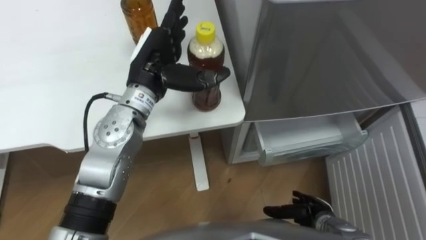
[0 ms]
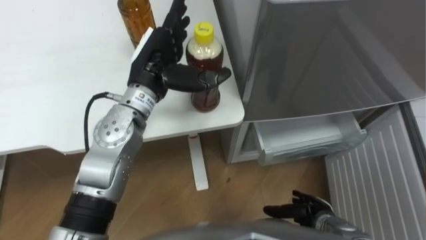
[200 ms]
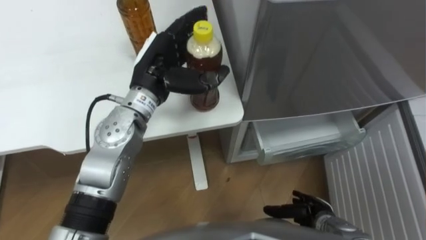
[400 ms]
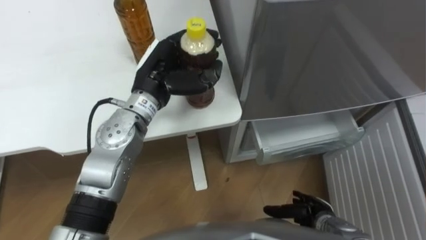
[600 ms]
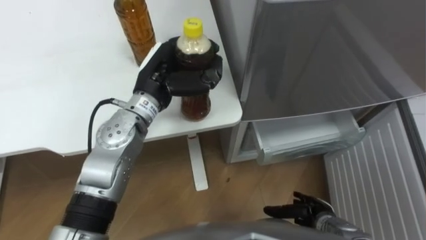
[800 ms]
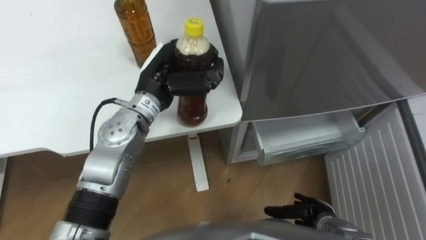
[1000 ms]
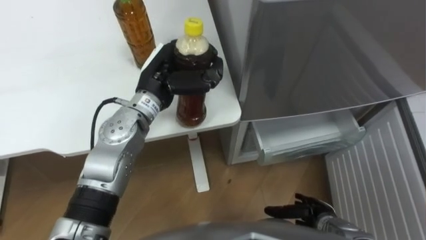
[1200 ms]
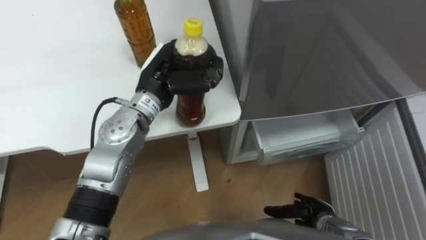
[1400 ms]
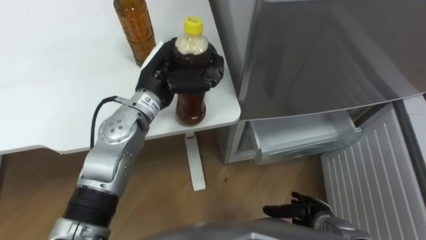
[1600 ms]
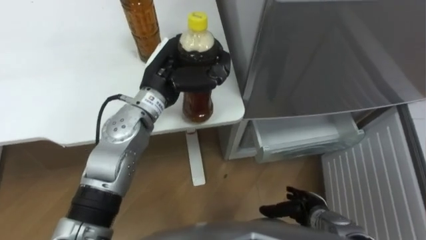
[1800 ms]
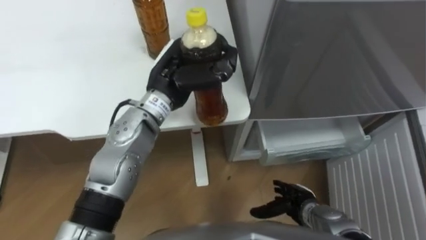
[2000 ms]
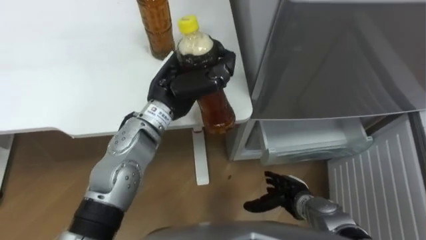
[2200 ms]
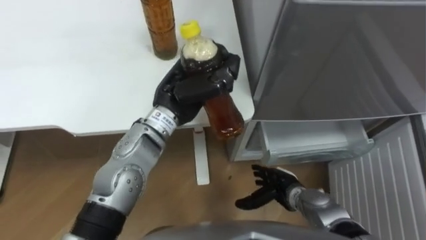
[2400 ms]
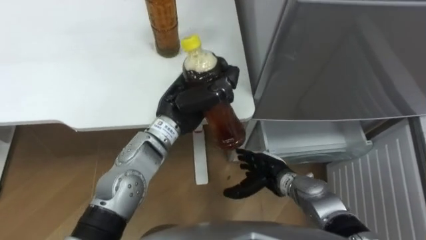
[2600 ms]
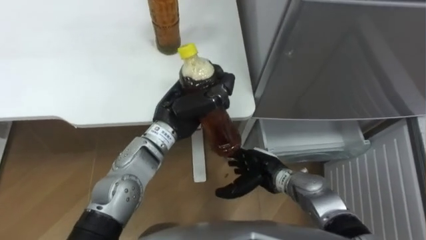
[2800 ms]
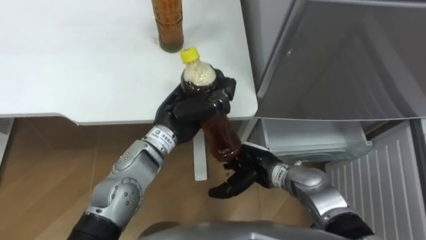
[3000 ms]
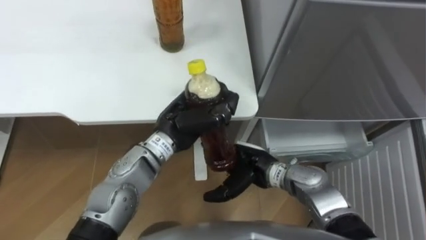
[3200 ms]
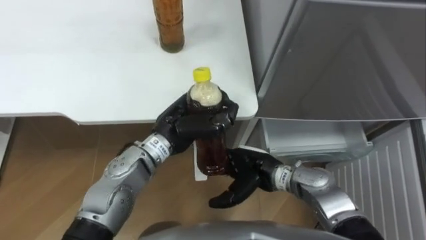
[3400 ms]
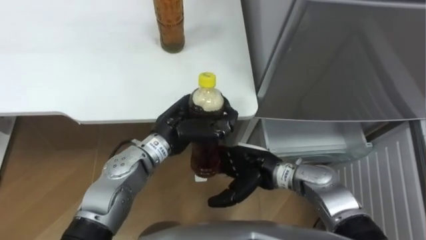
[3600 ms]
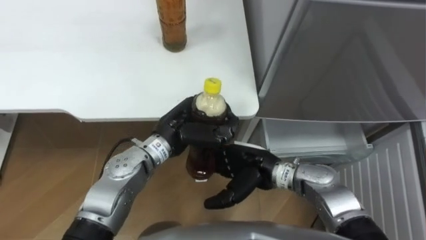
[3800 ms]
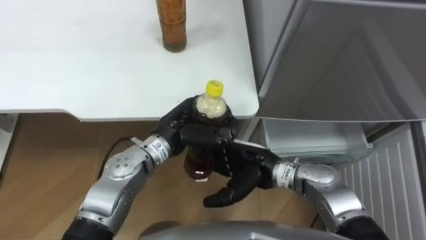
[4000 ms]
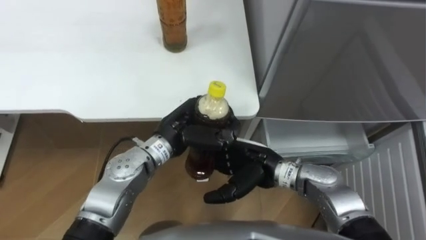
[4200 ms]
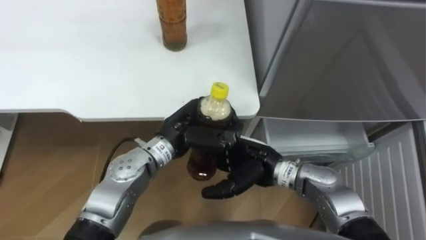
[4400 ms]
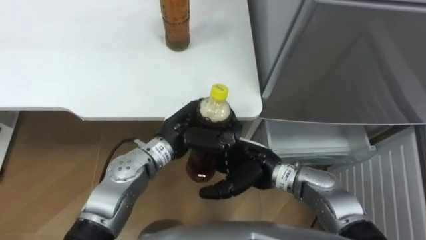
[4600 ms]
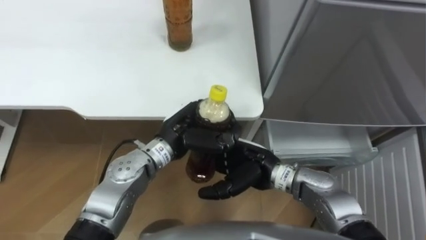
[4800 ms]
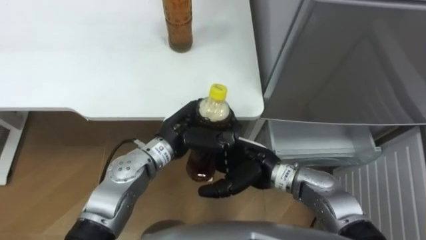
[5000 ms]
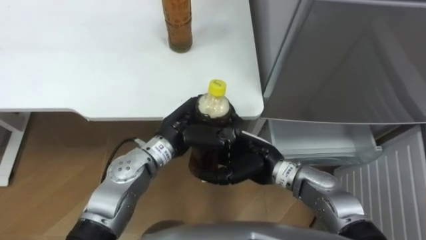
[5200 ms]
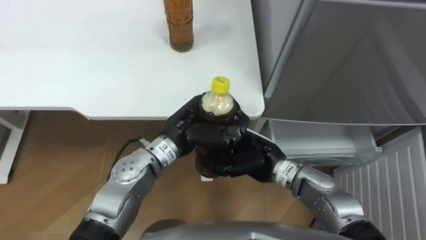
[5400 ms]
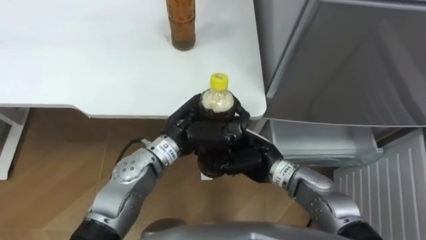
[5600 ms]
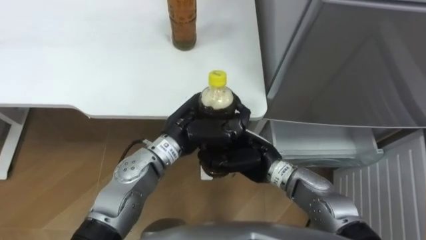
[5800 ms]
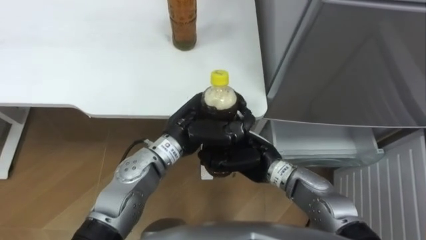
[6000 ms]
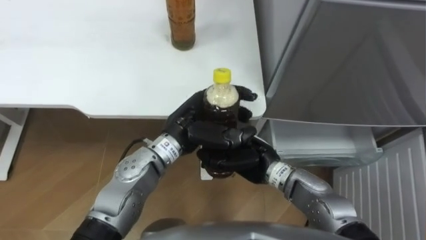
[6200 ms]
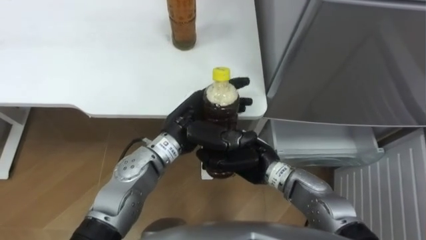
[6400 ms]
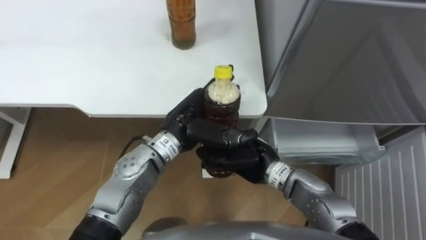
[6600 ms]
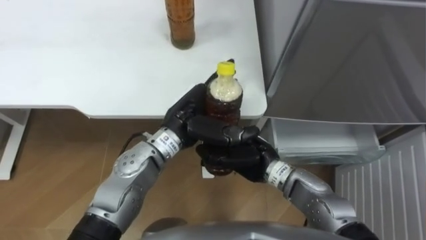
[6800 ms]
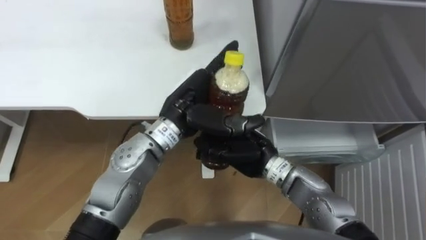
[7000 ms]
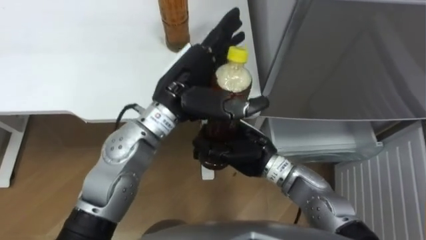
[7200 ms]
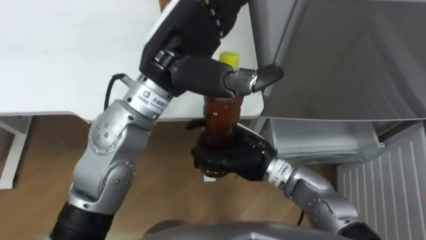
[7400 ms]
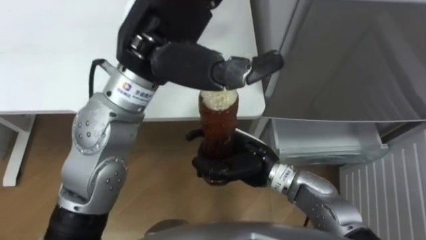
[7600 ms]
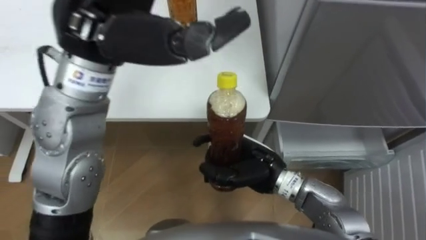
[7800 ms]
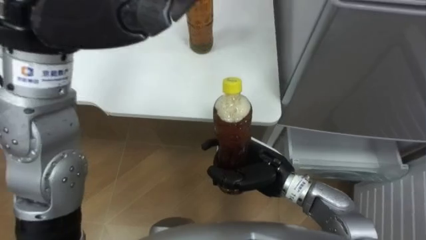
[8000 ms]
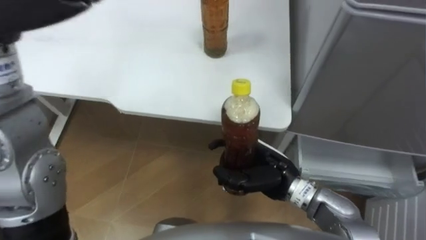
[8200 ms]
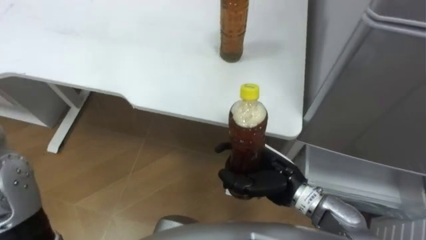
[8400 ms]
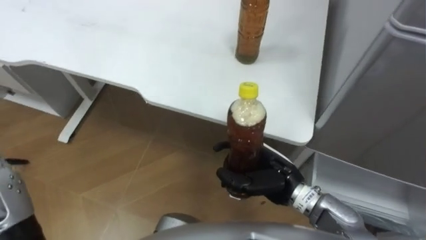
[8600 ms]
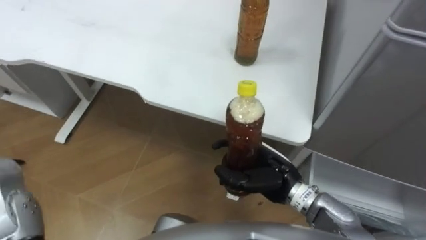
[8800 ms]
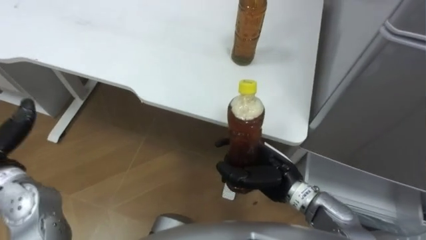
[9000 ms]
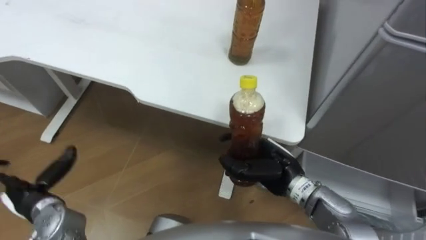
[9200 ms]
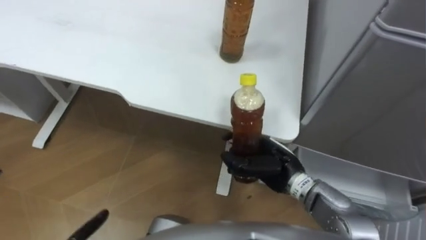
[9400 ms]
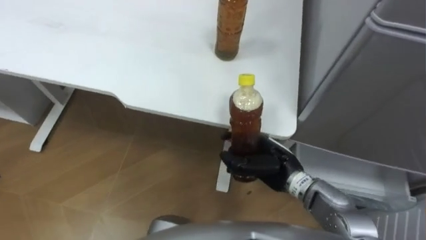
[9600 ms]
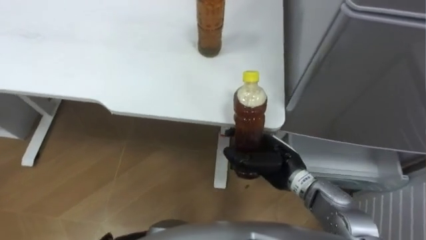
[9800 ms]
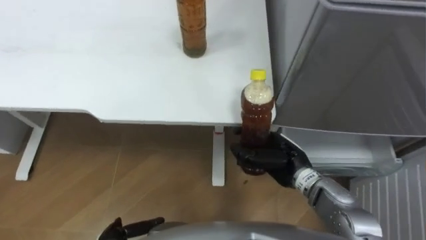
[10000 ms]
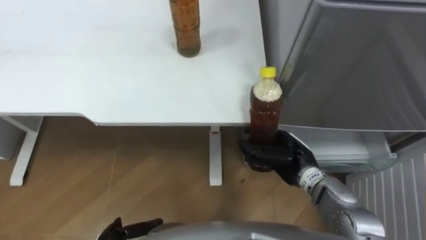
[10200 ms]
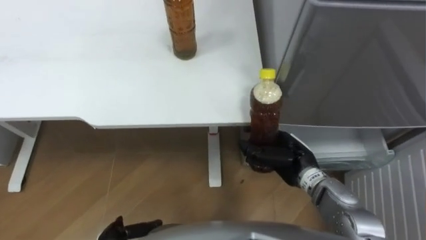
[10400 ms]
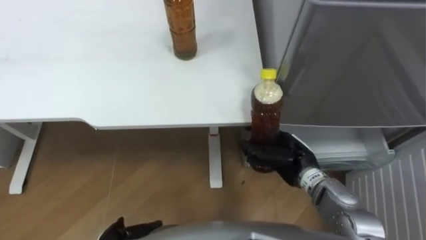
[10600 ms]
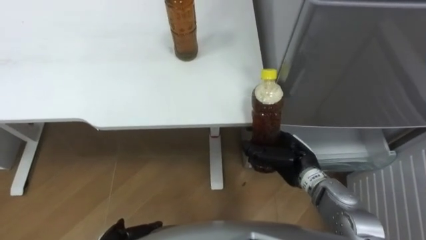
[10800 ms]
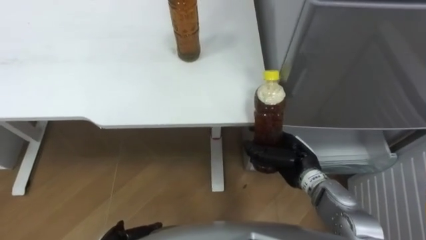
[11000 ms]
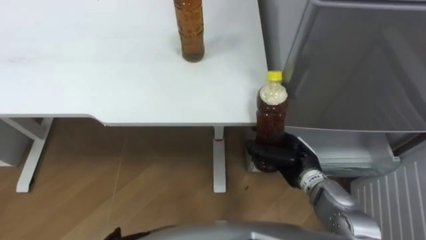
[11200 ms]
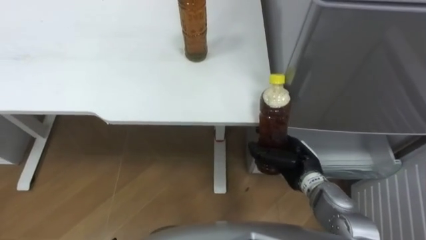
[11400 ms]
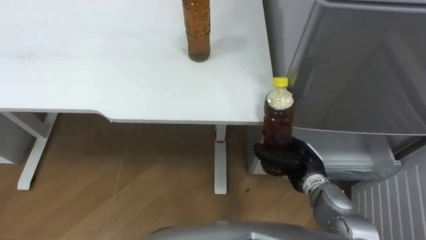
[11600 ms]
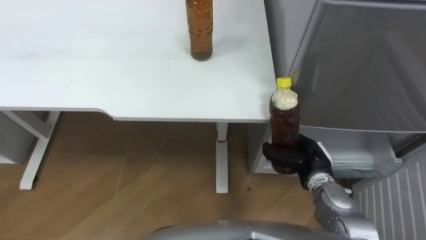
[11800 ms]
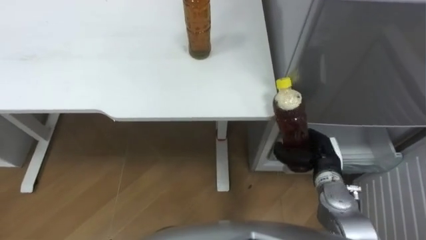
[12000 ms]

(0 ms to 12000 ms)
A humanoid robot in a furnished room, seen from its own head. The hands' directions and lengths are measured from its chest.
Task of the whole recording: Place the drink on the table on the bottom shelf of the refrigerator, then close the drawer and the refrigerator door.
0 ms - 1600 ms: The left hand closes up.
1600 ms - 3000 ms: The left hand shifts about 5 cm backward; the right hand travels to the left, forward and upward by roughly 20 cm.
3000 ms - 4400 ms: The right hand heads upward, covering approximately 5 cm.
4400 ms - 6000 ms: The right hand closes.
6000 ms - 7600 ms: The left hand goes approximately 20 cm upward, and opens its fingers.
7600 ms - 9000 ms: The right hand heads to the right, covering roughly 5 cm.
9000 ms - 10400 ms: The right hand moves to the right, about 5 cm.
10400 ms - 12000 ms: The right hand goes approximately 5 cm to the right.

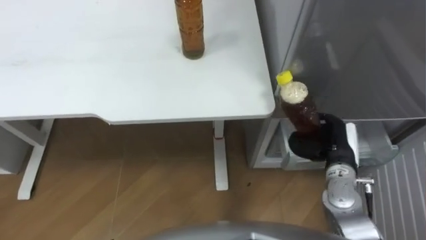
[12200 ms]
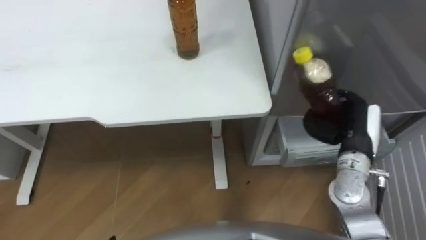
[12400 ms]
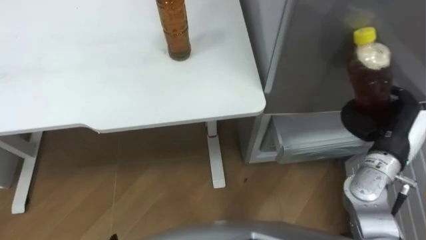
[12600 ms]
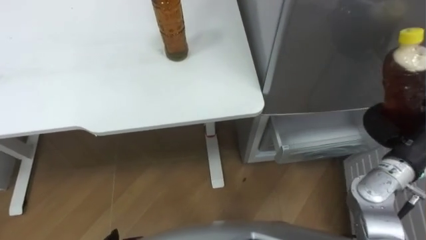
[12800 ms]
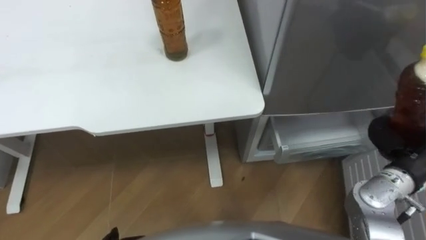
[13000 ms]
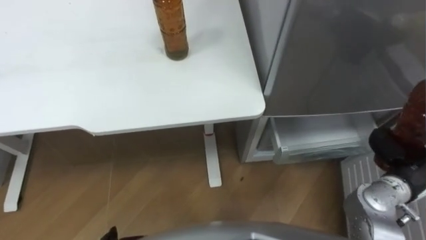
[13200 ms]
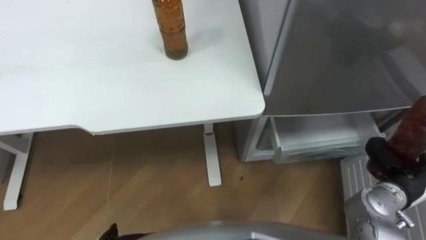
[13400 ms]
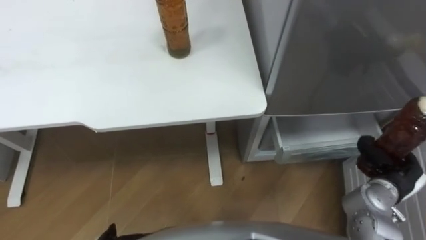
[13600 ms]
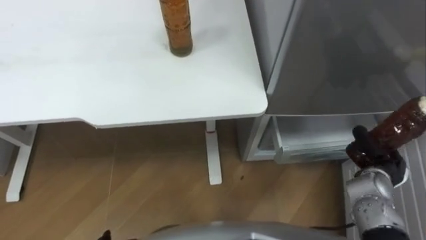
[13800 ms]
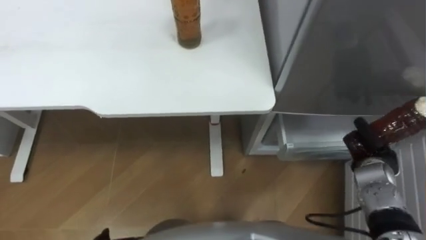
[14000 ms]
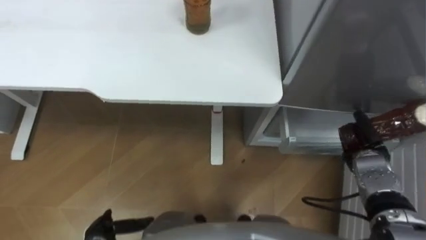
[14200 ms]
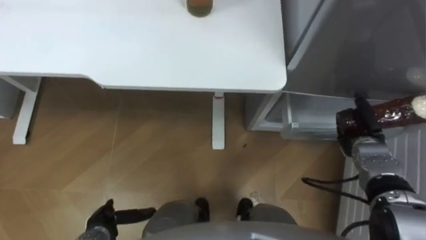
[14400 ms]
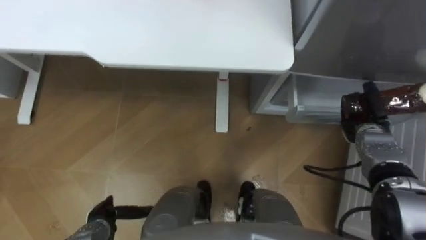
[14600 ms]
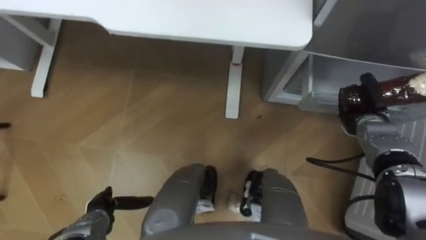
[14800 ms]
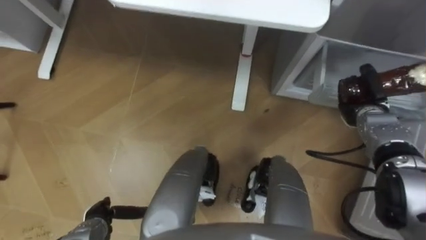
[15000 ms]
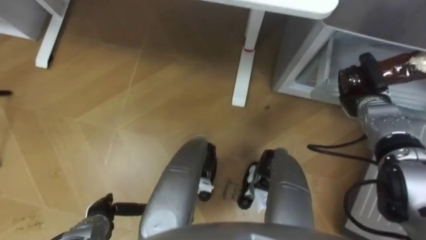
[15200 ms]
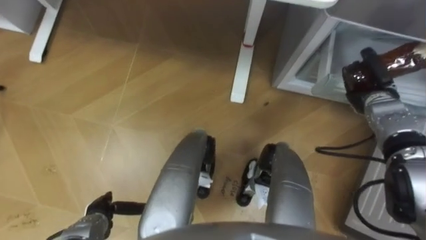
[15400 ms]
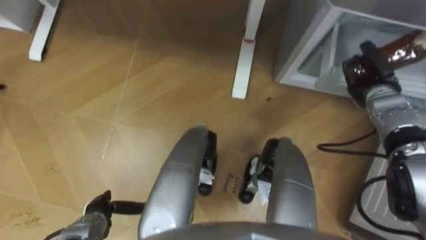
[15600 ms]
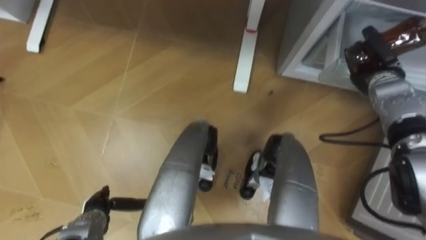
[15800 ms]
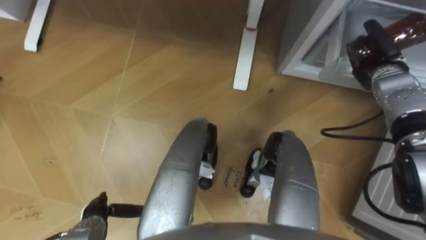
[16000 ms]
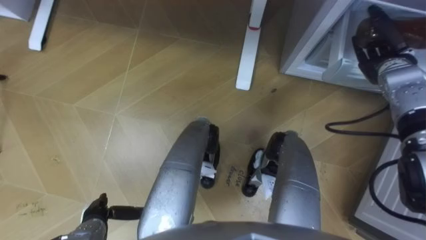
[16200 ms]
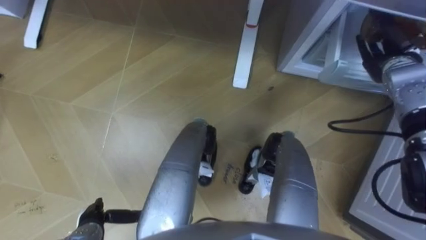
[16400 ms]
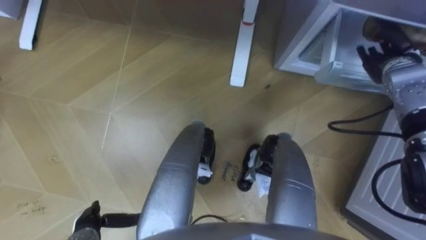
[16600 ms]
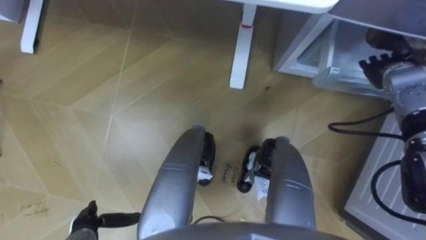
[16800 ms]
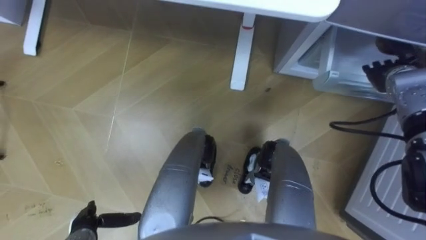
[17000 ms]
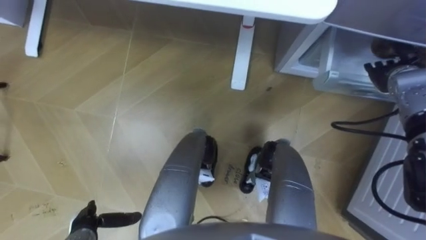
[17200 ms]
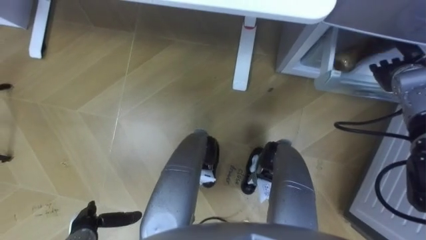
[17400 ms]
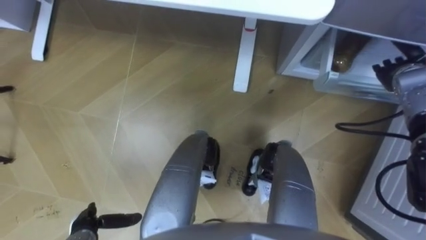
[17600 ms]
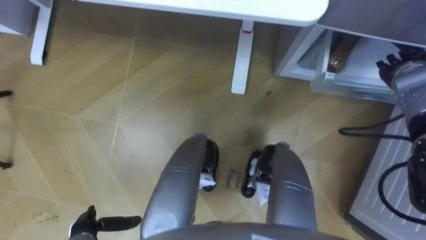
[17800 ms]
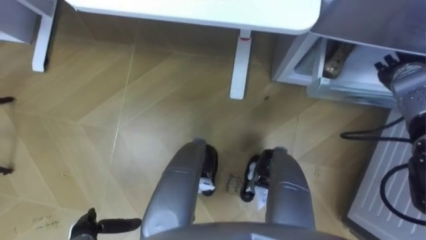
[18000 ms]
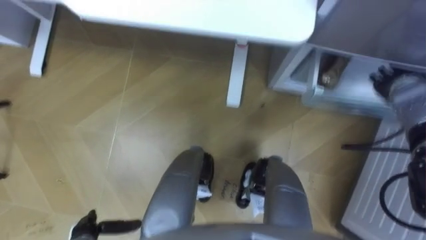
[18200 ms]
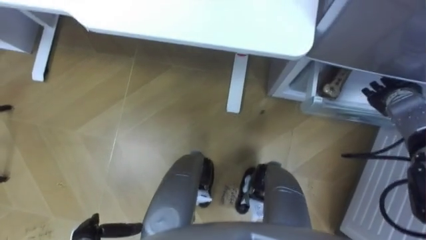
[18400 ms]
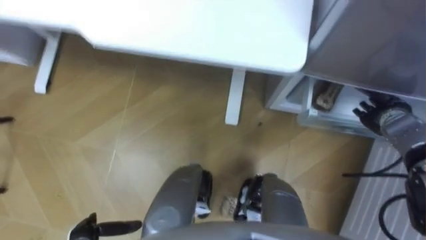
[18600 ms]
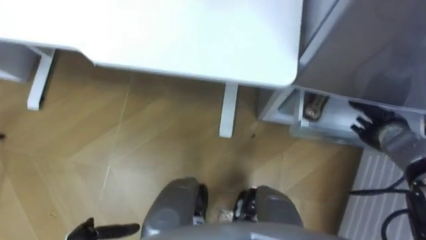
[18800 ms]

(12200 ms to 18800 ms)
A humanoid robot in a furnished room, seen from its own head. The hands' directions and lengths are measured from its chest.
Task of the whole recording: Place the drink on the table on the bottom shelf of the refrigerator, then close the drawer and the refrigerator door.
12200 ms - 13800 ms: The right hand heads to the right, covering roughly 10 cm, and reaches some 5 cm upward, then returns.
13800 ms - 15400 ms: The right hand goes about 15 cm forward.
15400 ms - 17200 ms: The right hand ends up roughly 5 cm from where it was, and opens up.
17200 ms - 18800 ms: The right hand heads downward and backward, covering about 10 cm.
